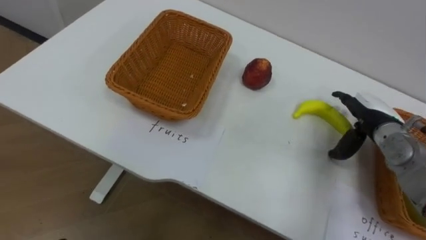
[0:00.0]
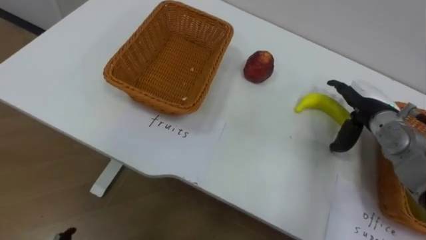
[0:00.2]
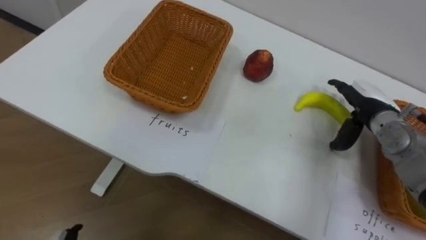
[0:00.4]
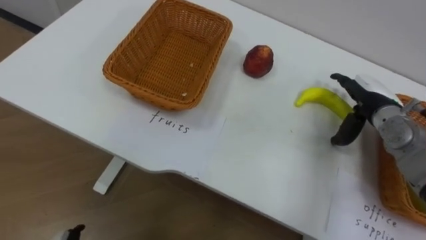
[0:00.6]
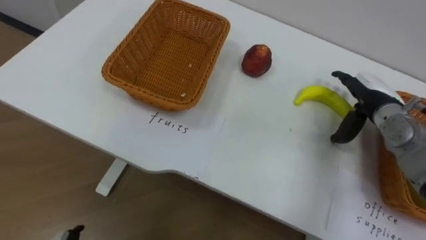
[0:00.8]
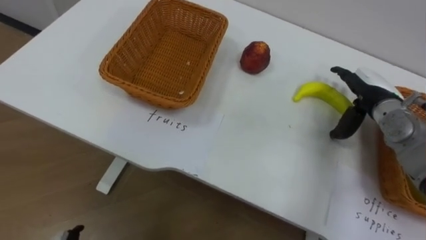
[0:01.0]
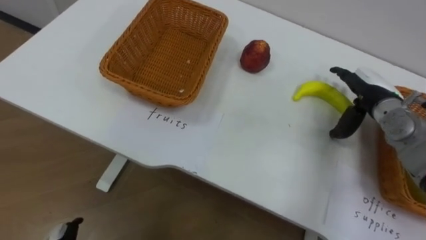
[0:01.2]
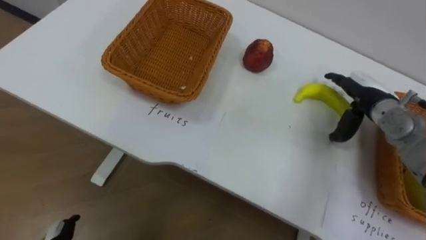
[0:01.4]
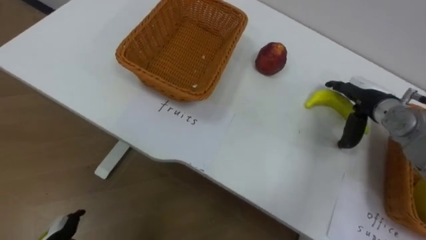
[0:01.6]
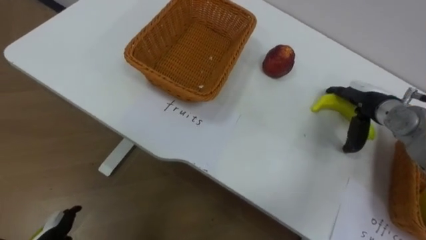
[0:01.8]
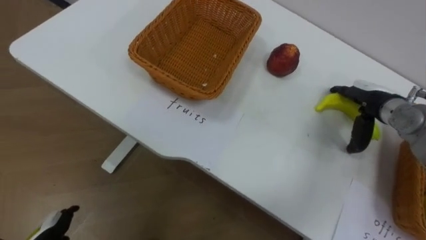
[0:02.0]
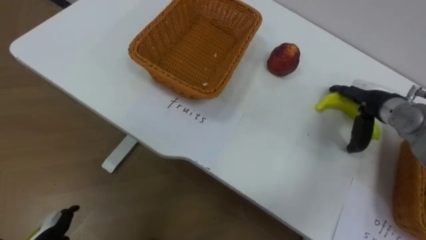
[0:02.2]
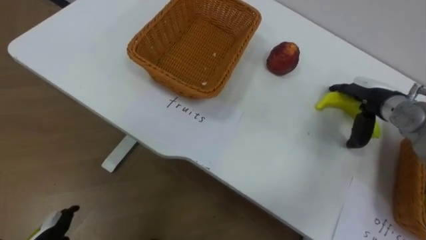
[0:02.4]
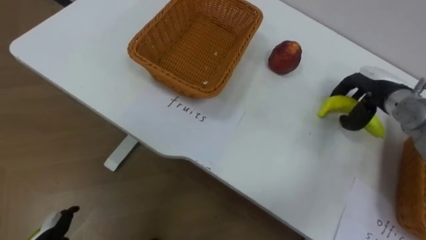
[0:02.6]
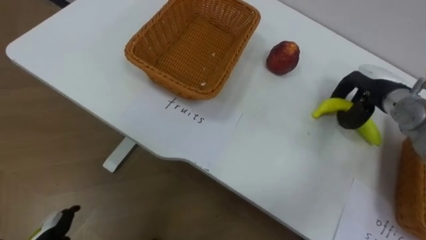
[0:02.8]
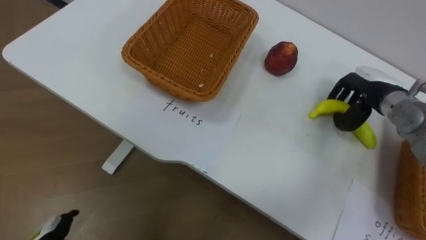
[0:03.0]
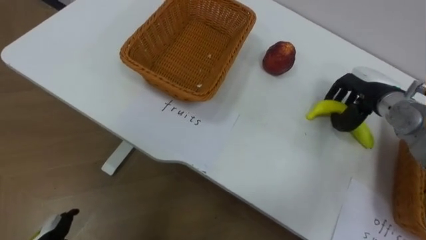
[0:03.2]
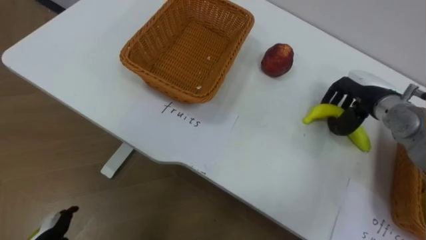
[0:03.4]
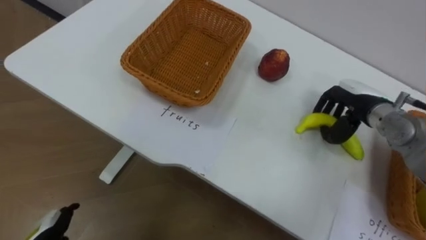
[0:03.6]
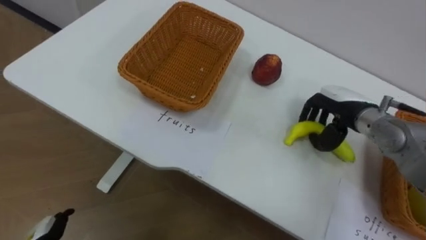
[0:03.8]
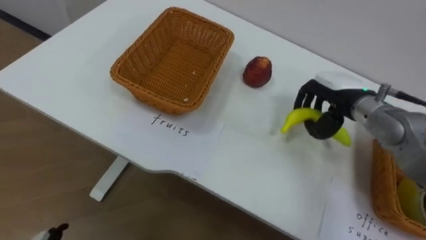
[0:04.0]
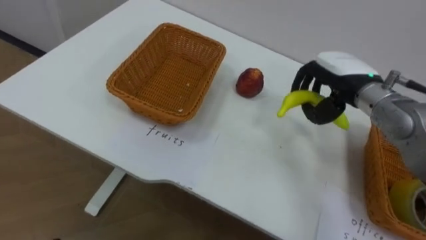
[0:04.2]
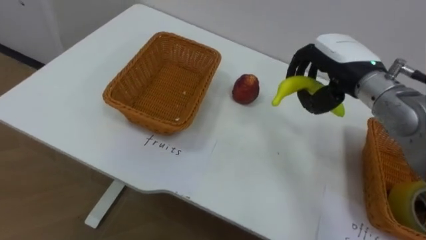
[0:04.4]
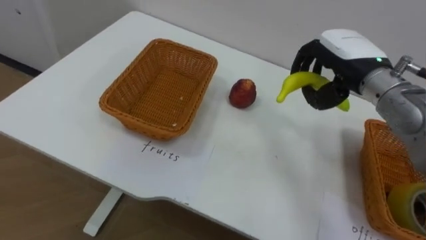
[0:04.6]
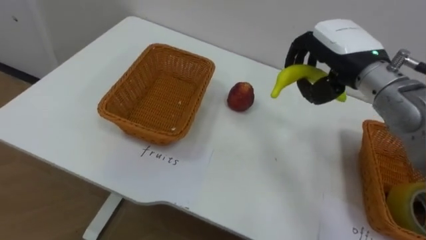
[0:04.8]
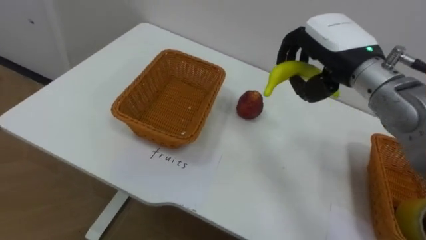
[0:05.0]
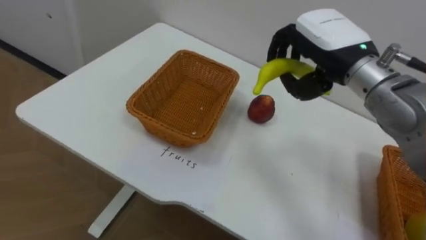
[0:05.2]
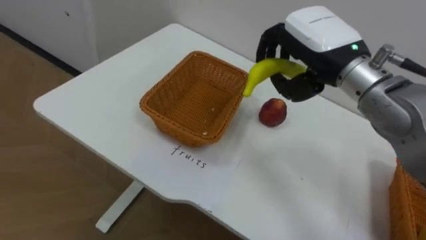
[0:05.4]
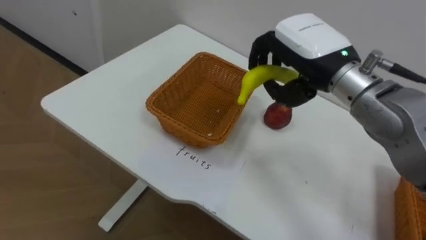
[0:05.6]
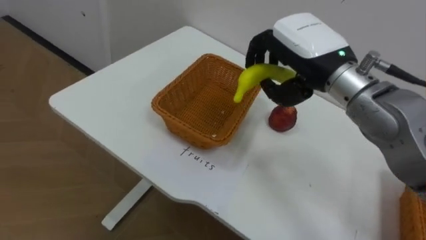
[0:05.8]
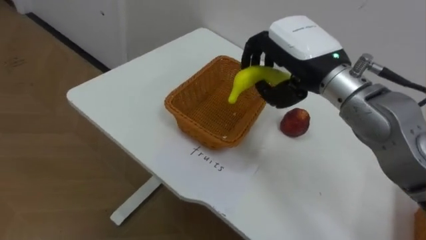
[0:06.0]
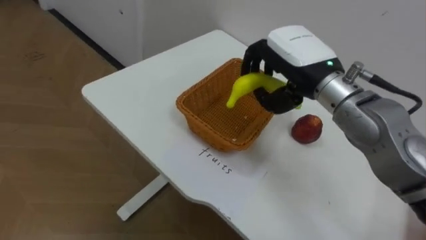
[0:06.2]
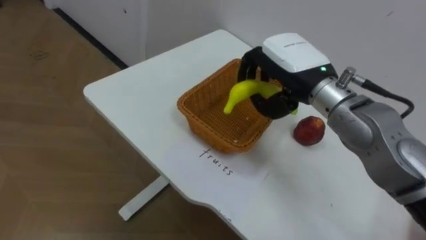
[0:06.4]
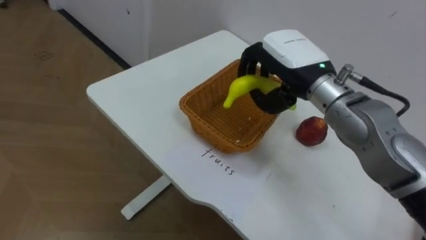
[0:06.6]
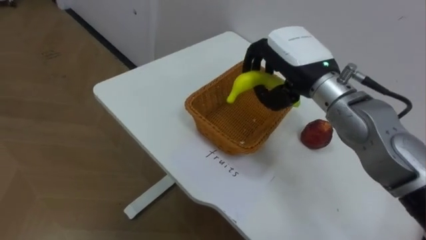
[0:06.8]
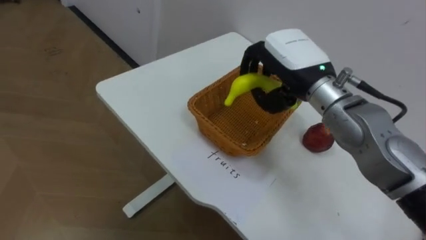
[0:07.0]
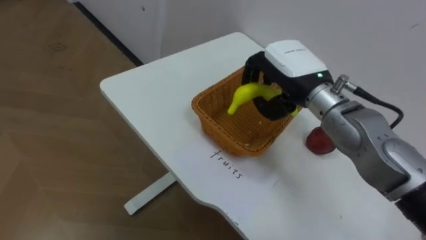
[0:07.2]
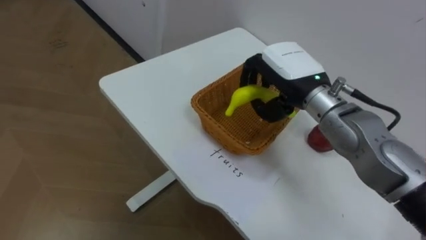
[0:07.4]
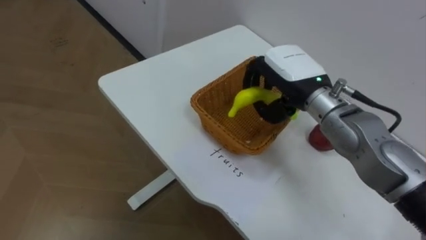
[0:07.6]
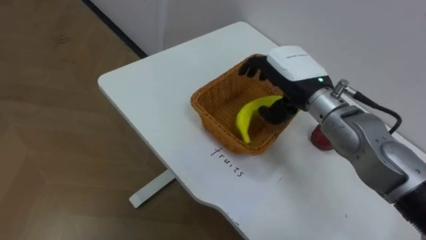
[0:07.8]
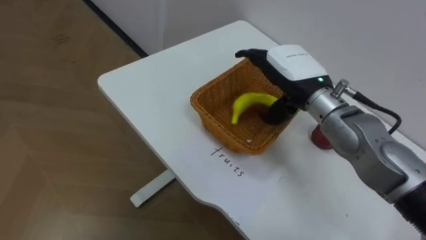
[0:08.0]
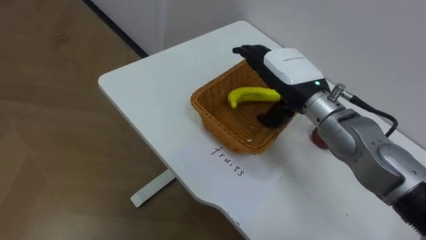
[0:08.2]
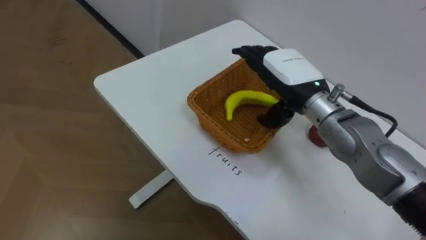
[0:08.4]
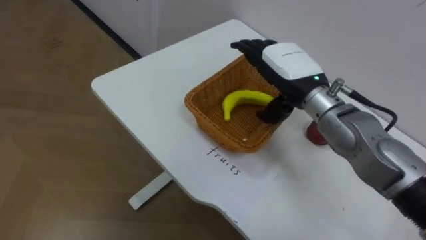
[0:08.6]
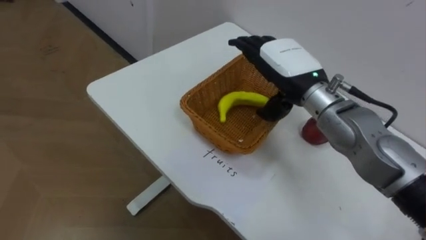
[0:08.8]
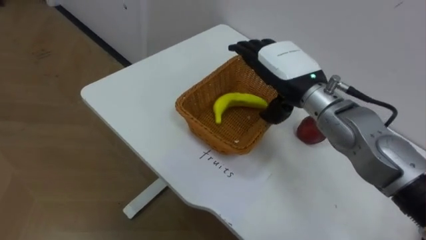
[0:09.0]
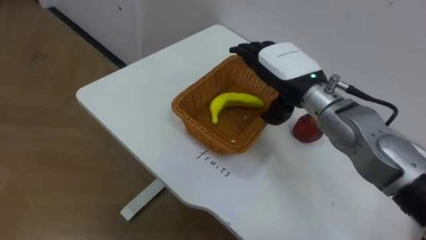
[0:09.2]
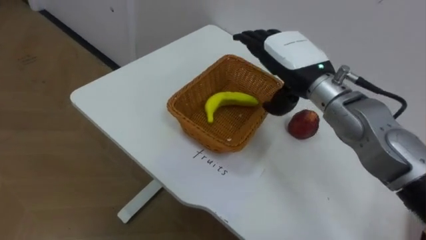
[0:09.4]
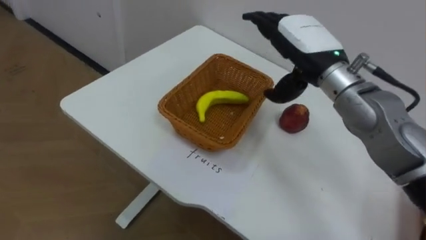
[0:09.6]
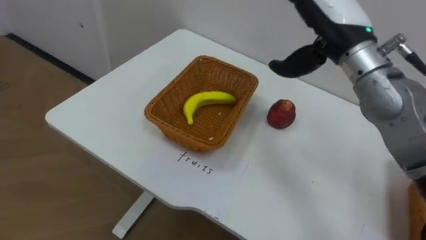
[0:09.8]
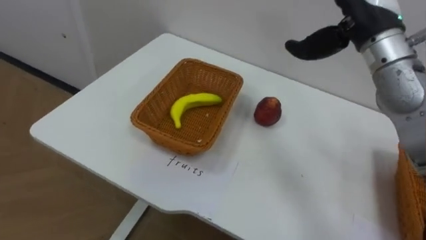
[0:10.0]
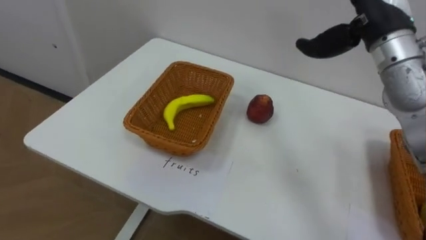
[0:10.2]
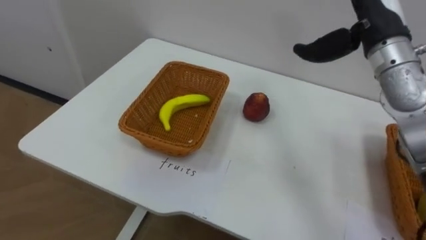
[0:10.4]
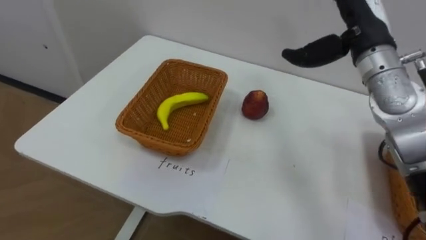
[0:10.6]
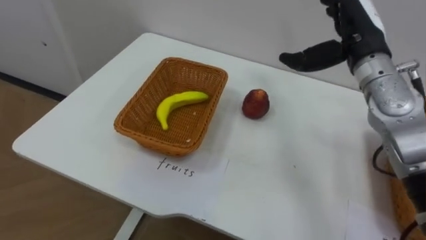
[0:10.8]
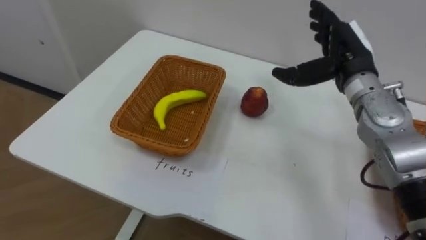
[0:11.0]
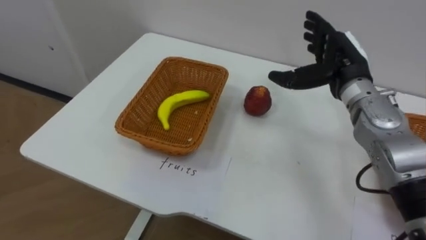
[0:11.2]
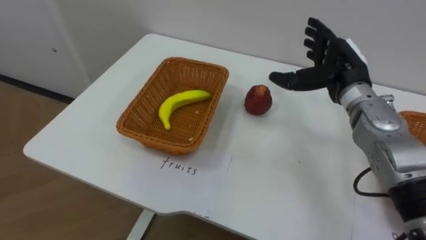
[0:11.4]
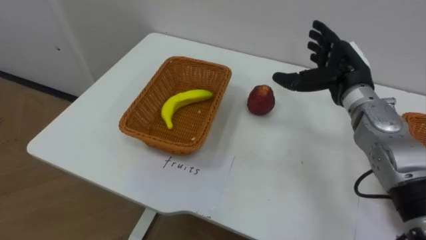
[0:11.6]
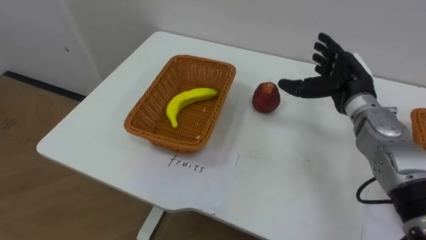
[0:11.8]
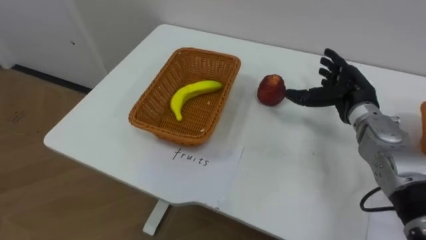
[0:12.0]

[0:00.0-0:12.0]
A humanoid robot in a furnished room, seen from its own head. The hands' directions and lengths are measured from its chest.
Task of the whole recording: Separate the items on the table and place them into the two baskets.
0:01.6 to 0:03.0: The right hand closes.
0:03.0 to 0:04.4: The right hand shifts roughly 10 cm to the left and upward.
0:04.4 to 0:06.0: The right hand shifts approximately 10 cm to the left and upward.
0:06.0 to 0:07.6: The right hand travels downward by approximately 5 cm.
0:07.6 to 0:09.0: The right hand opens up.
0:09.0 to 0:10.4: The right hand shifts about 15 cm to the right and upward.
0:10.4 to 0:12.0: The right hand shifts about 15 cm downward.

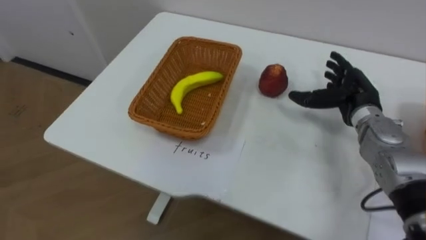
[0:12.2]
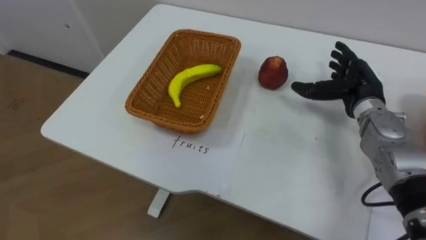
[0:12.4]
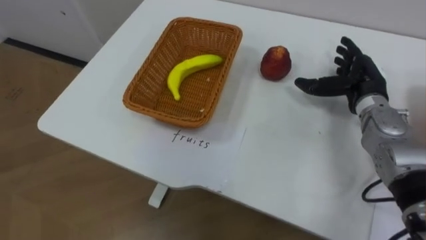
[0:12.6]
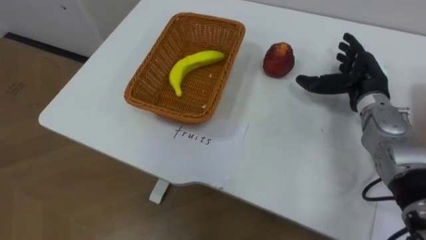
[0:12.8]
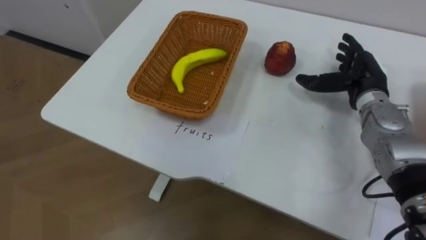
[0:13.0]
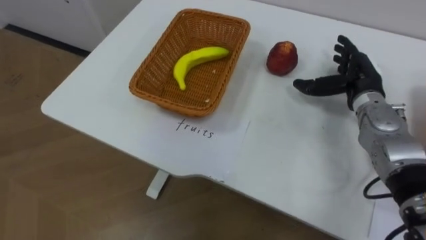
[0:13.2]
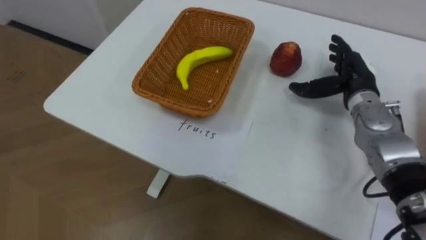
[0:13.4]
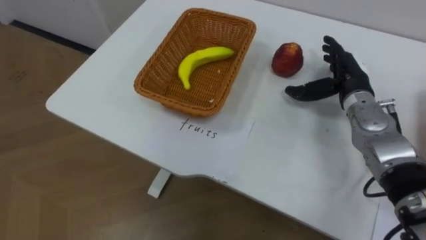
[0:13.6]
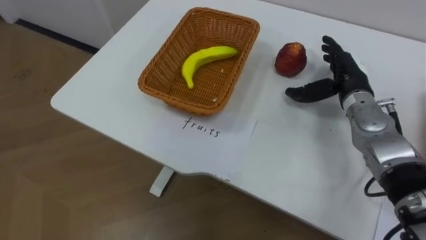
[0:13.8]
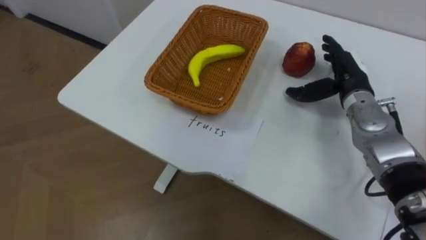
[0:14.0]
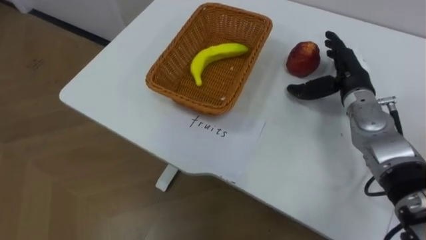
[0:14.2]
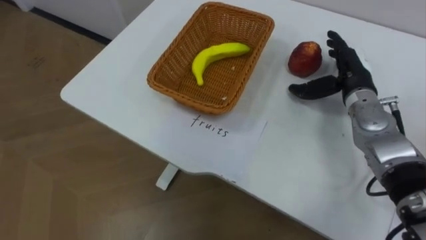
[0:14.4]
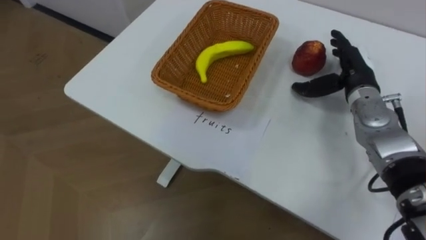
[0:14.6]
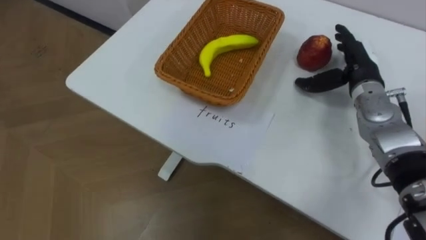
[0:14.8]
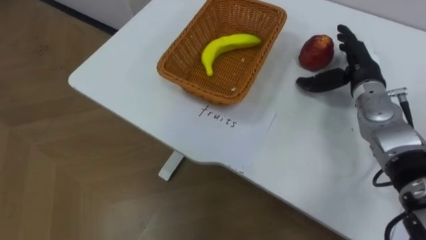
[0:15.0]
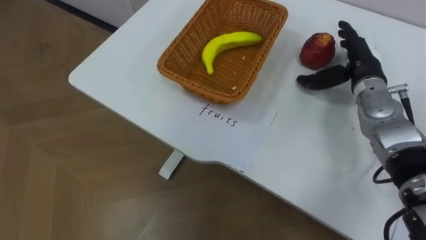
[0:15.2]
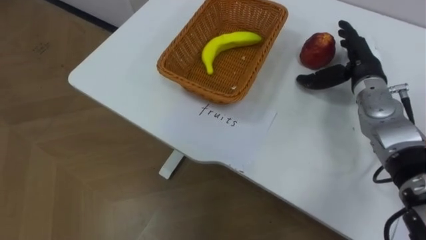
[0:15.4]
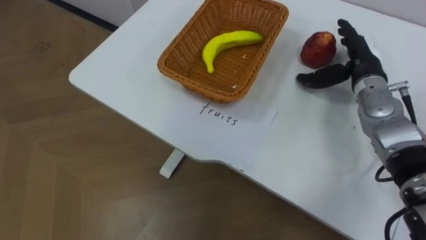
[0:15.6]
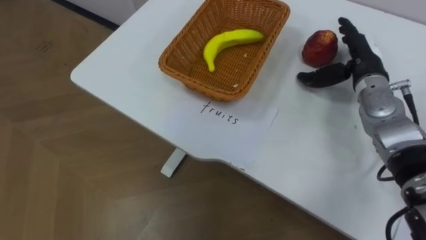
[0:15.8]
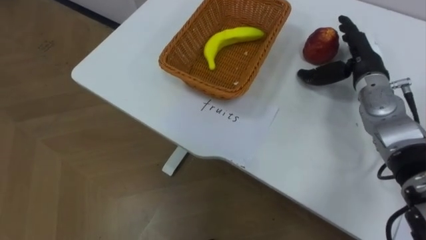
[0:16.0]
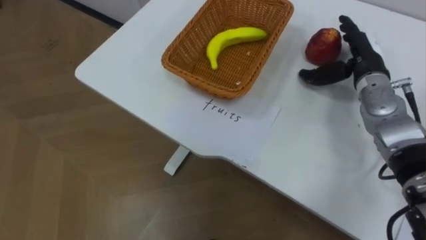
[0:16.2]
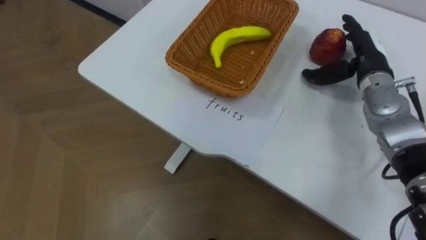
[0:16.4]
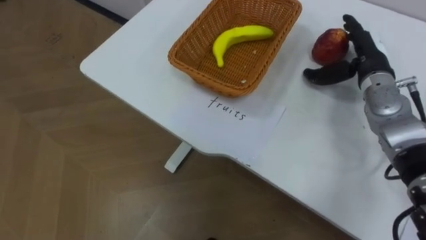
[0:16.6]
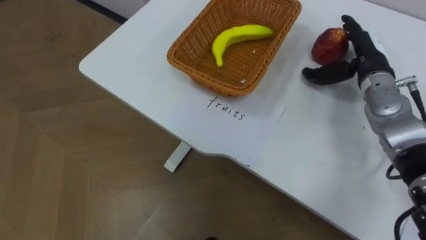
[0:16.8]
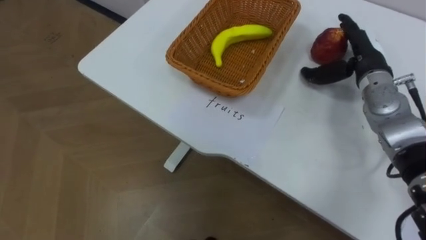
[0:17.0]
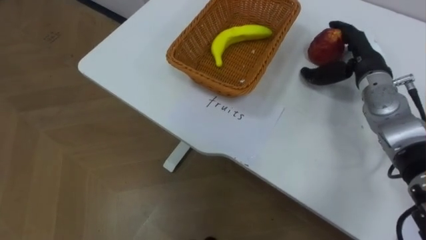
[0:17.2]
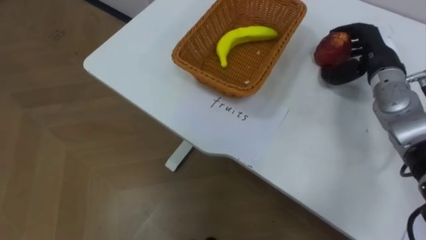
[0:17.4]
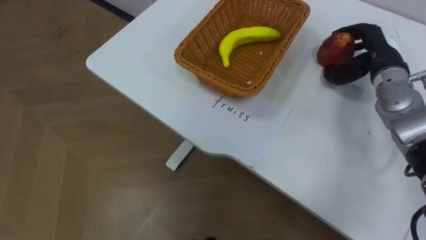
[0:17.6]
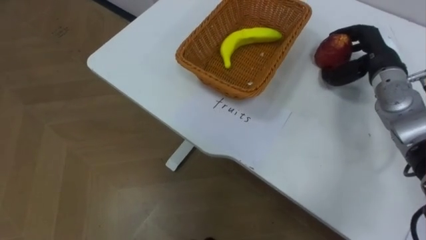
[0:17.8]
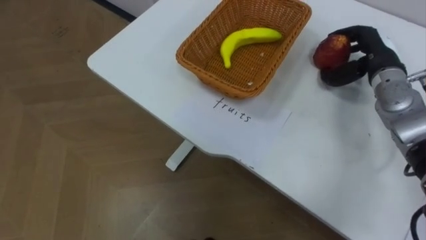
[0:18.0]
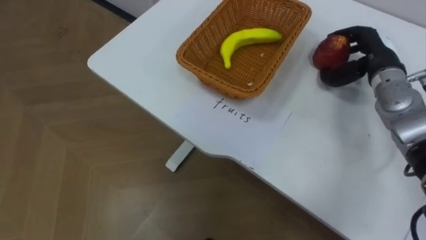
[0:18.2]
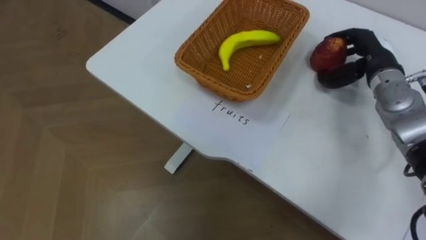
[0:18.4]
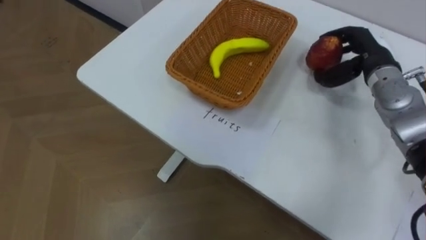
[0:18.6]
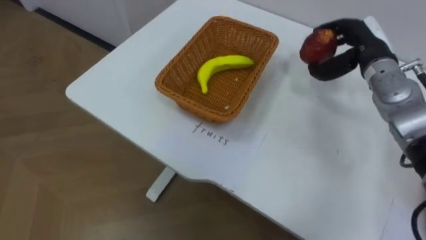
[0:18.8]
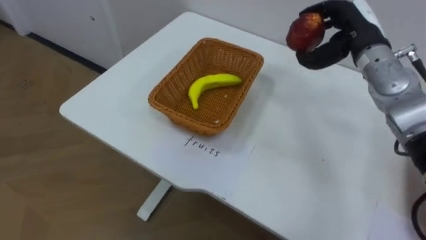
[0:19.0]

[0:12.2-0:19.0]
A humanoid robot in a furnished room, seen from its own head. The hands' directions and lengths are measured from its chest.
Task of the whole recording: Separate the items on the table and place them into the two baskets.
0:16.2 to 0:17.6: The right hand closes up.
0:17.6 to 0:19.0: The right hand travels to the left by approximately 5 cm.
